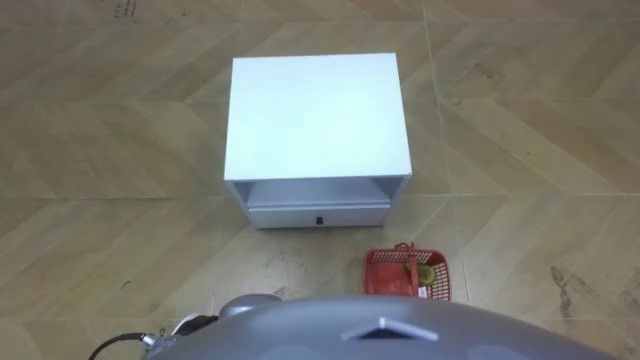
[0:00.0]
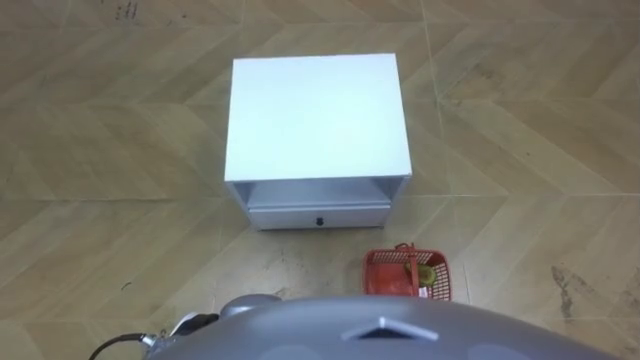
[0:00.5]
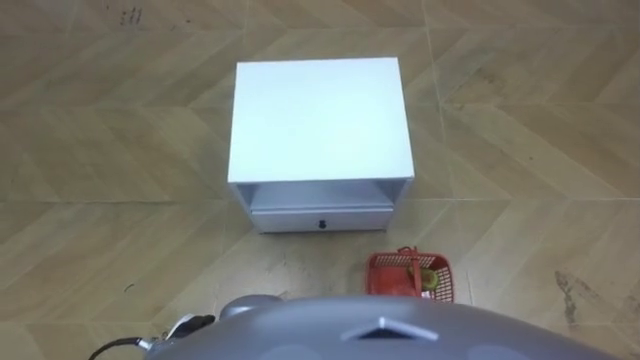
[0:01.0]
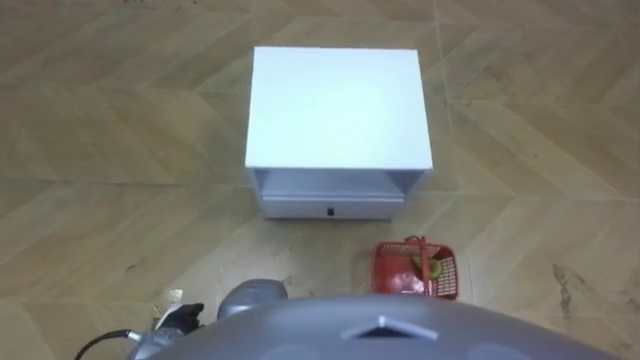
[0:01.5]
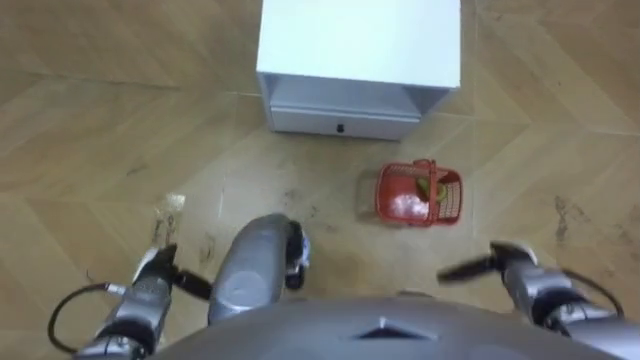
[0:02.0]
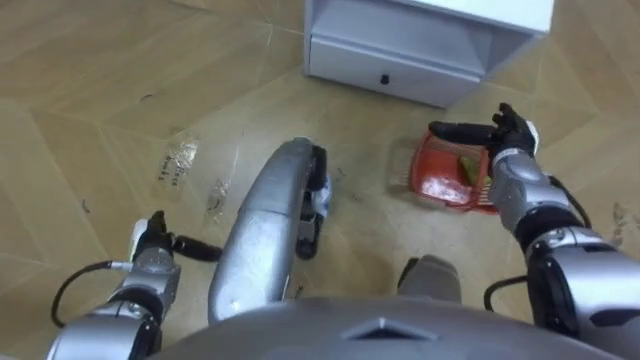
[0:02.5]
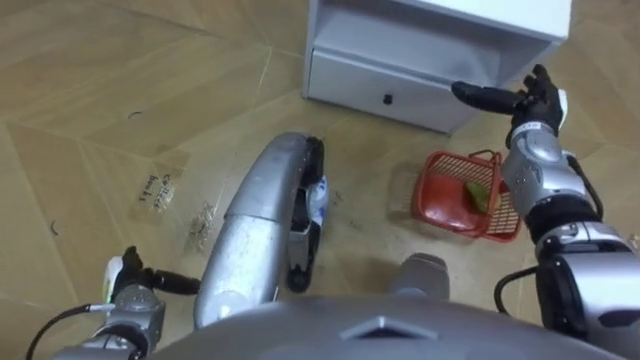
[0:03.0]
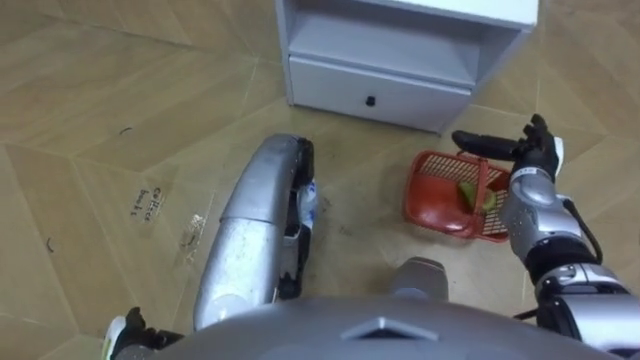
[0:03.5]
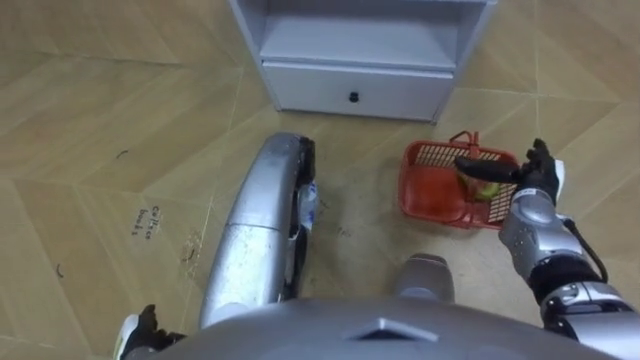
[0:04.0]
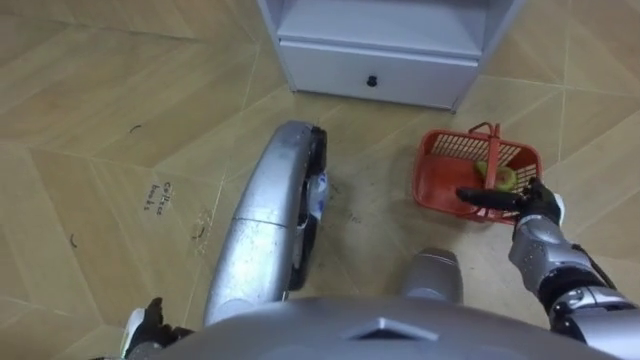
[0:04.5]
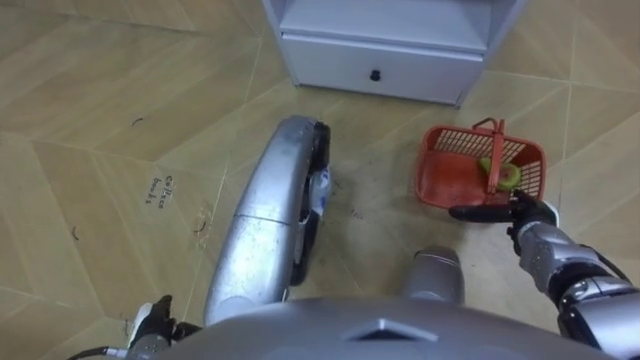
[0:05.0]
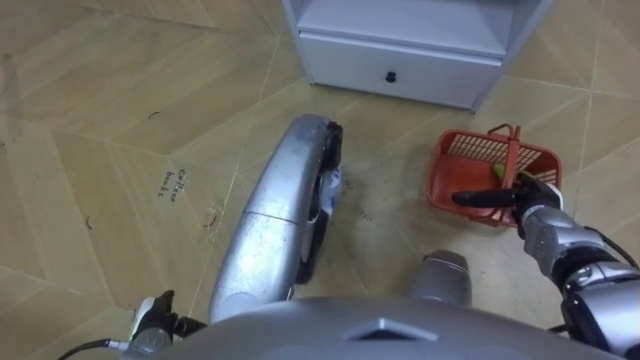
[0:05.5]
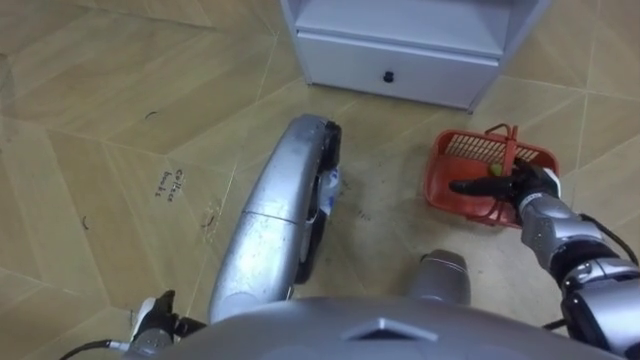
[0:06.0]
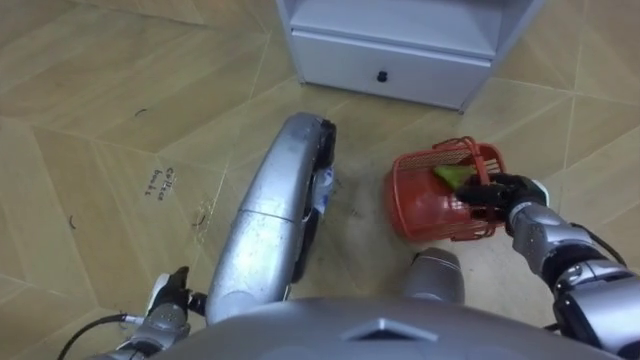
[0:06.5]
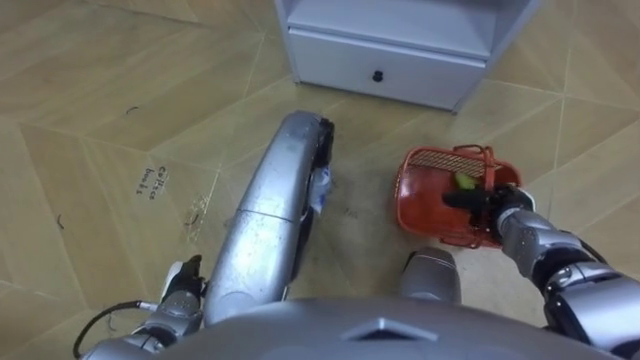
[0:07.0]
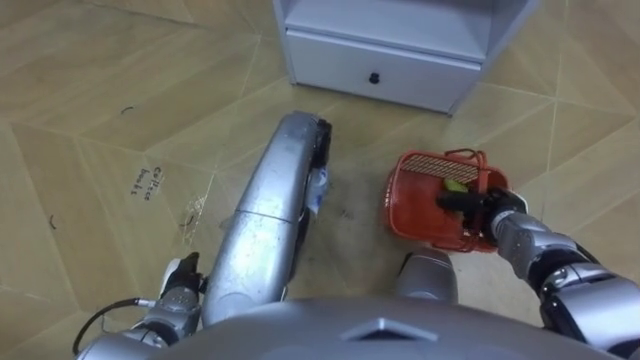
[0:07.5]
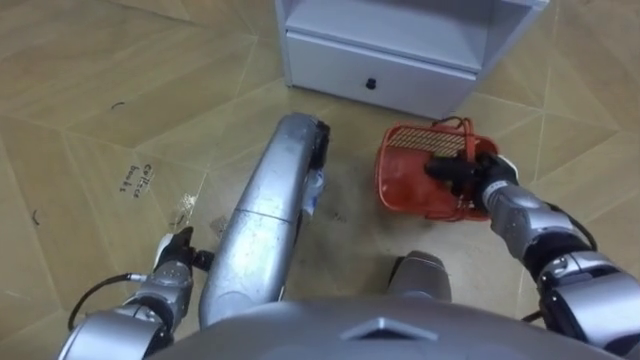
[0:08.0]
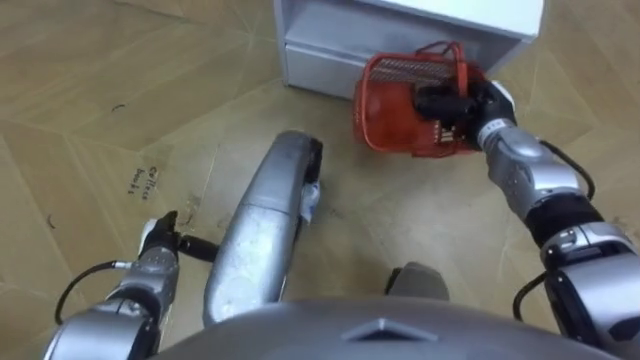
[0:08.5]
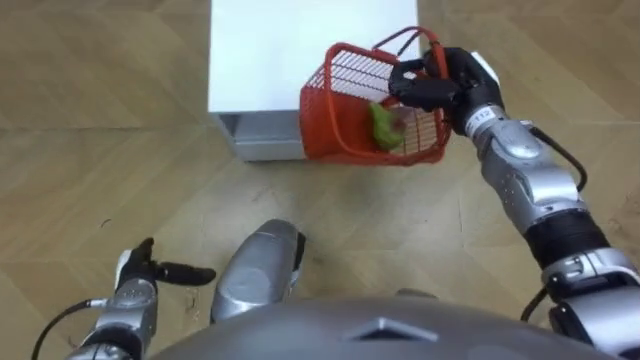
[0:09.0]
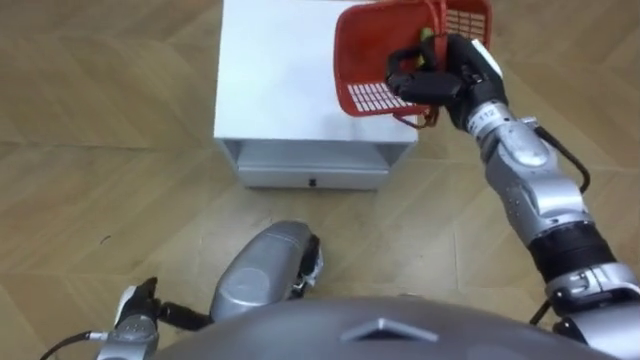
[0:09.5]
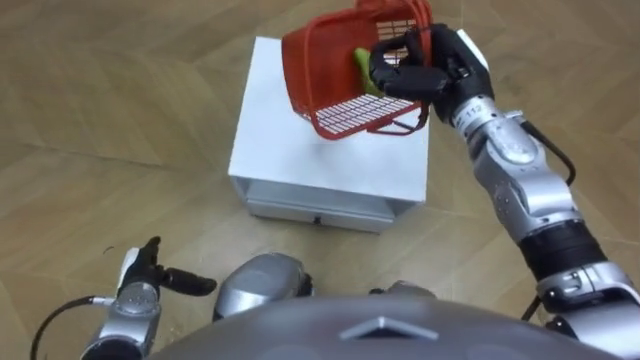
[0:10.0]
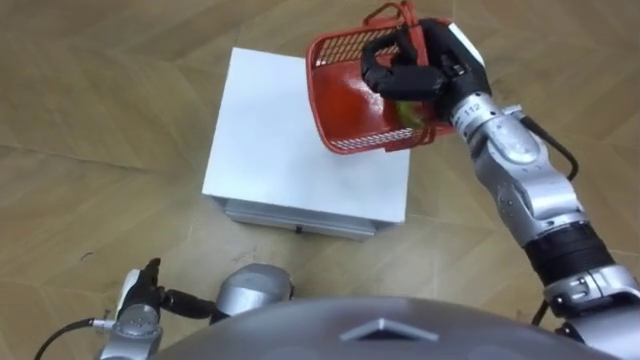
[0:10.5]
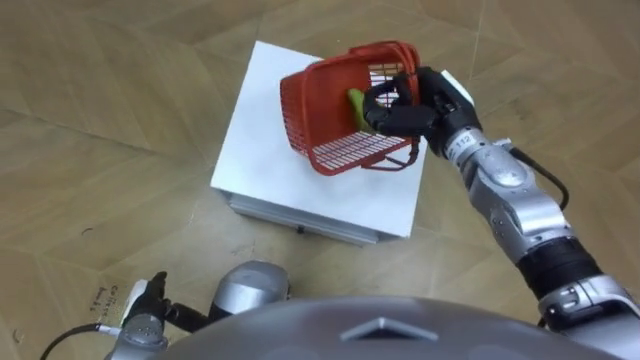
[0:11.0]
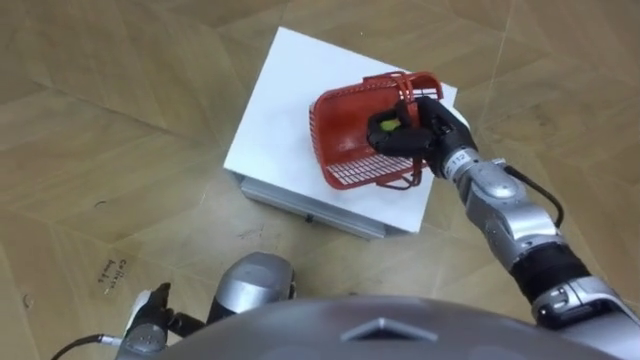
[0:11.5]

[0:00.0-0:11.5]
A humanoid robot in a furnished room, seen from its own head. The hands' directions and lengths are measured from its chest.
Task of the whole recording: Pick up the fruit basket from the floor and place it on the cabinet.
0:02.0 to 0:04.0: The right hand goes about 15 cm forward and upward. The left hand is displaced backward by roughly 10 cm.
0:06.0 to 0:07.5: The left hand heads forward, covering about 5 cm; the right hand shifts by approximately 5 cm, and closes.
0:07.5 to 0:09.5: The robot turns to its right by roughly 15 degrees. The left hand goes approximately 5 cm to the left. The right hand shifts about 25 cm upward, forward and to the left.
0:09.5 to 0:11.5: The right hand travels downward by approximately 5 cm.

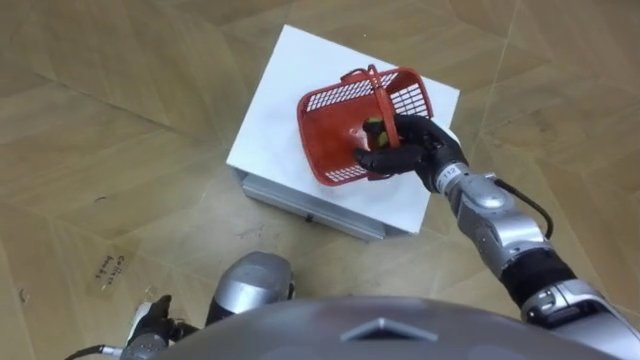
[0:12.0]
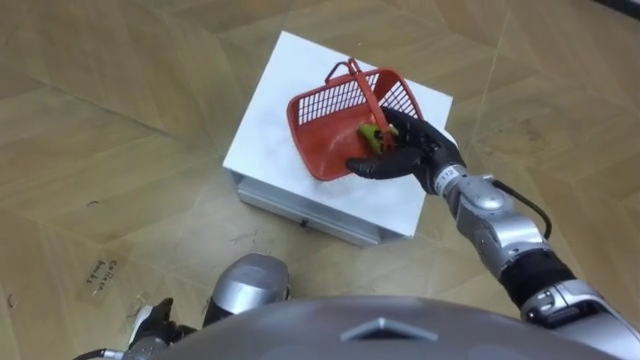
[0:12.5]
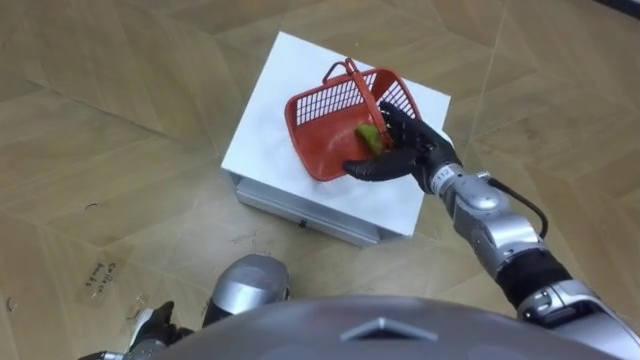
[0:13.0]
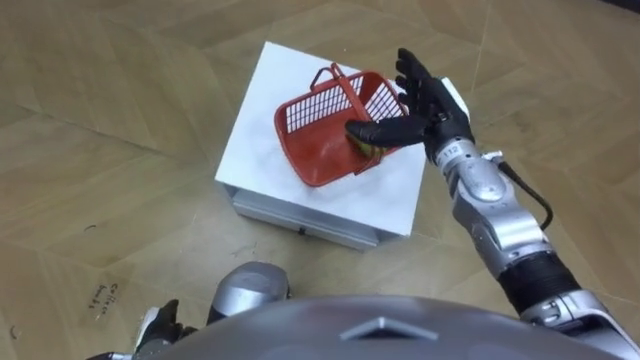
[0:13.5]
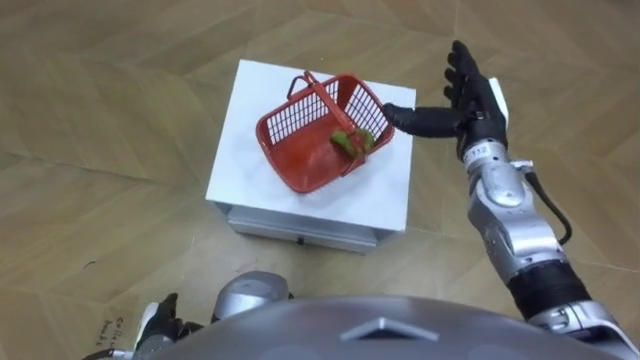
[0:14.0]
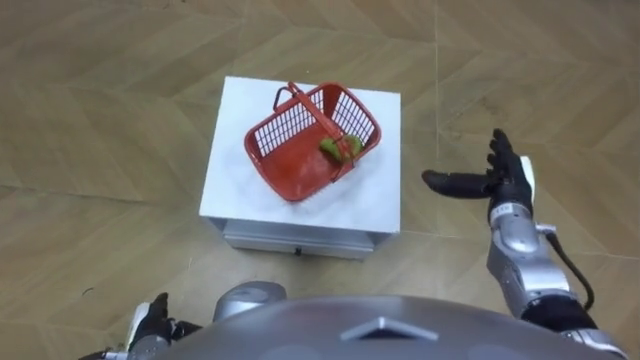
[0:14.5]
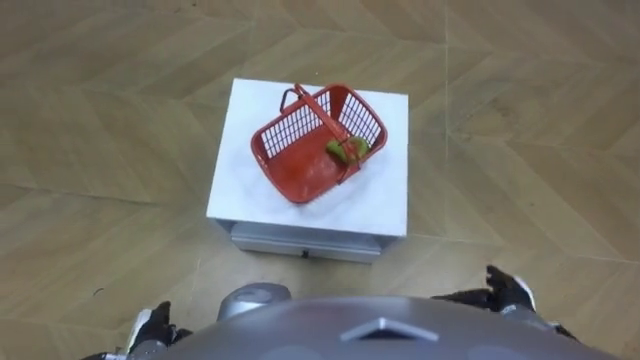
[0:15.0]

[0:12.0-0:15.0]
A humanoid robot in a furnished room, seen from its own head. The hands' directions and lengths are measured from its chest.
Task of the whole recording: Pick up the fruit basket from the floor and place it on the cabinet.
0:12.0 to 0:13.5: The right hand heads upward, covering approximately 5 cm, and opens up.
0:13.5 to 0:15.0: The right hand heads backward, downward and to the right, covering approximately 30 cm.

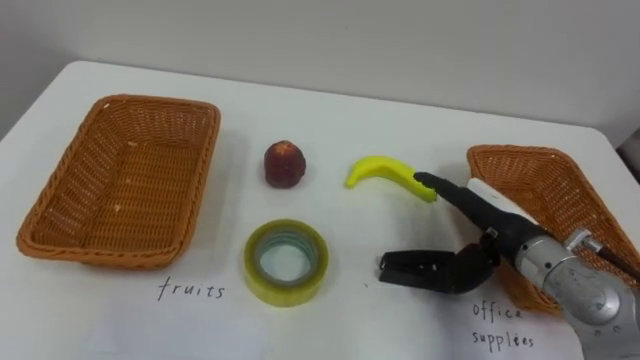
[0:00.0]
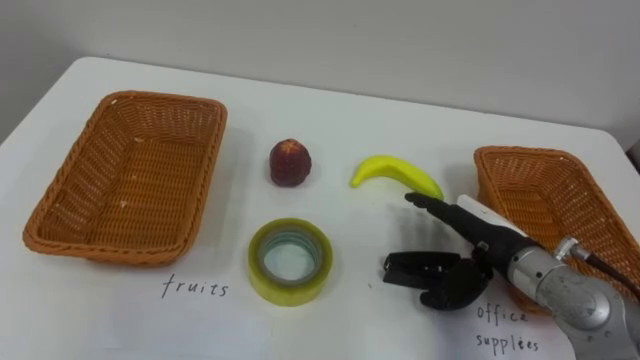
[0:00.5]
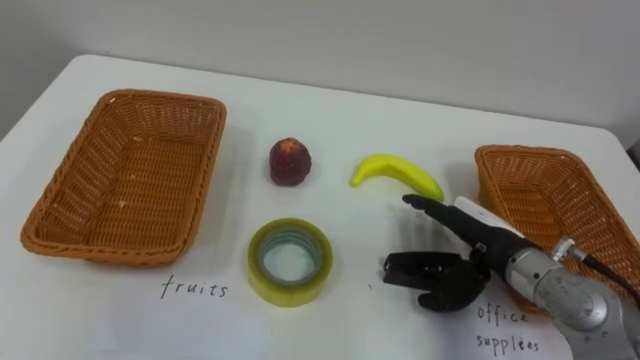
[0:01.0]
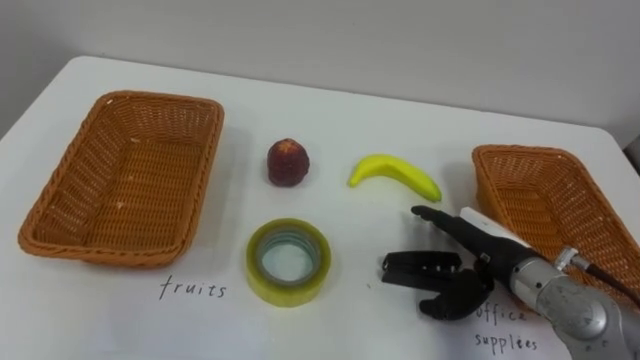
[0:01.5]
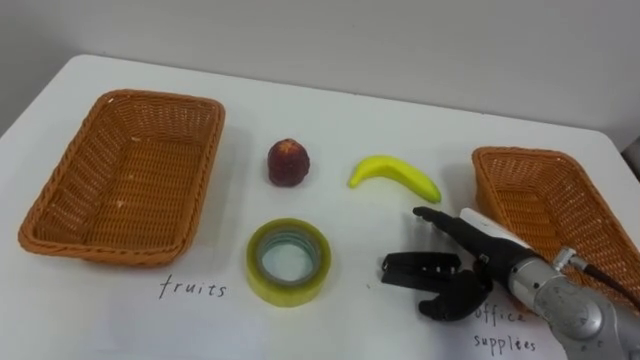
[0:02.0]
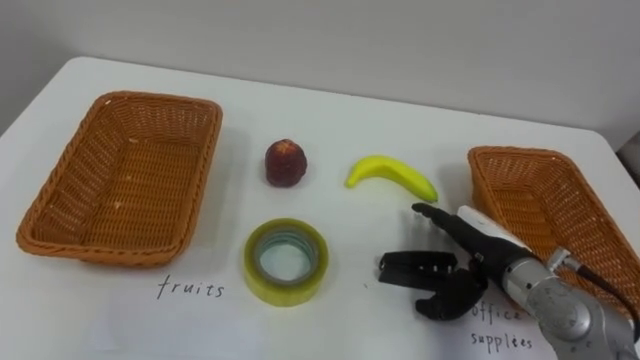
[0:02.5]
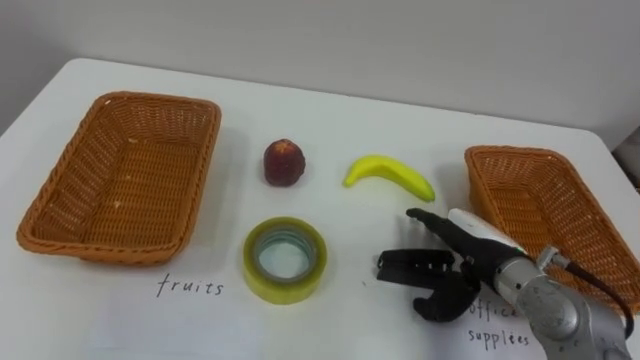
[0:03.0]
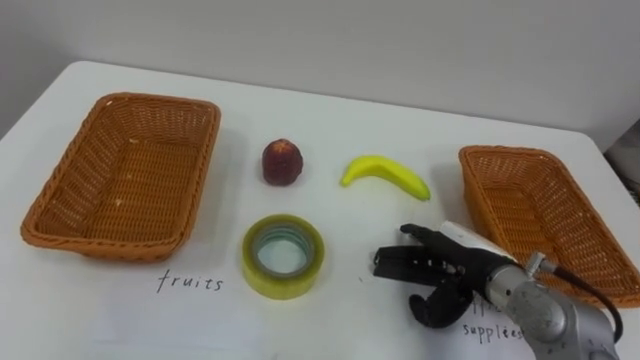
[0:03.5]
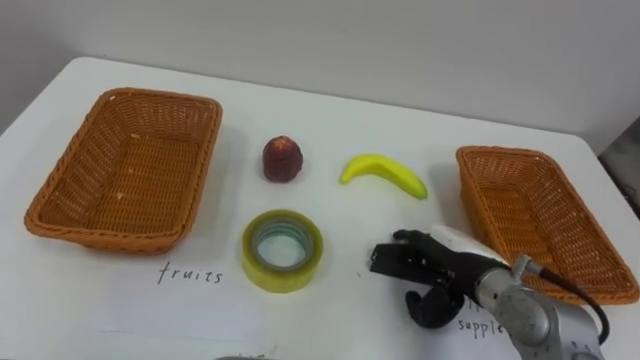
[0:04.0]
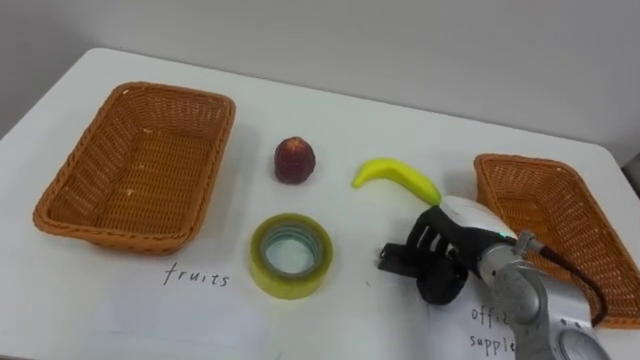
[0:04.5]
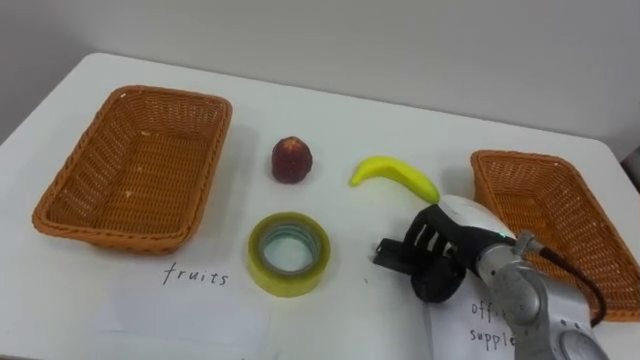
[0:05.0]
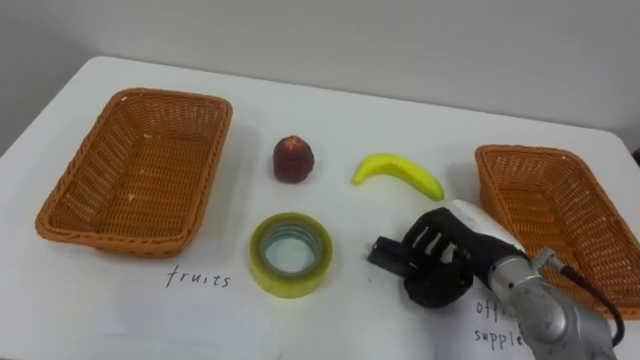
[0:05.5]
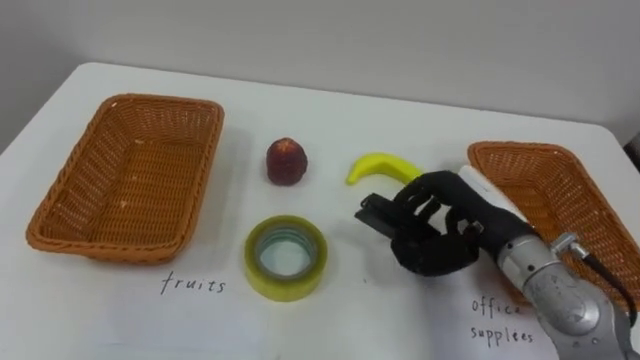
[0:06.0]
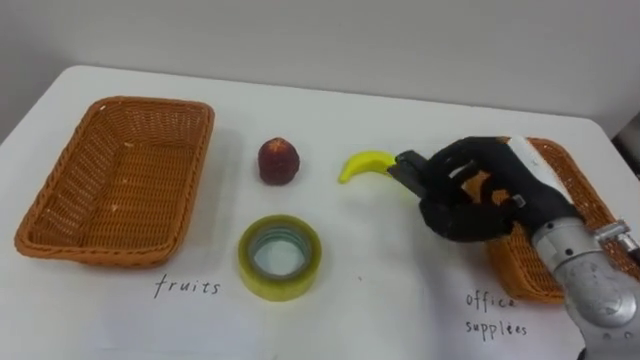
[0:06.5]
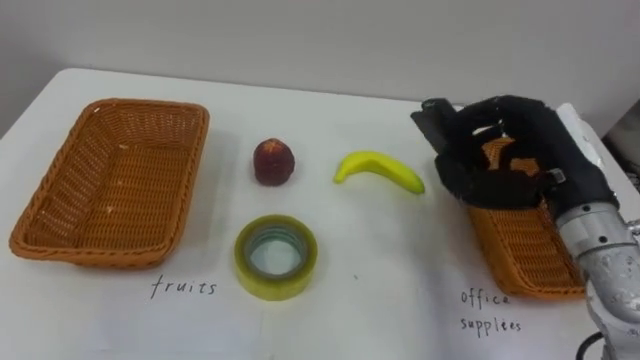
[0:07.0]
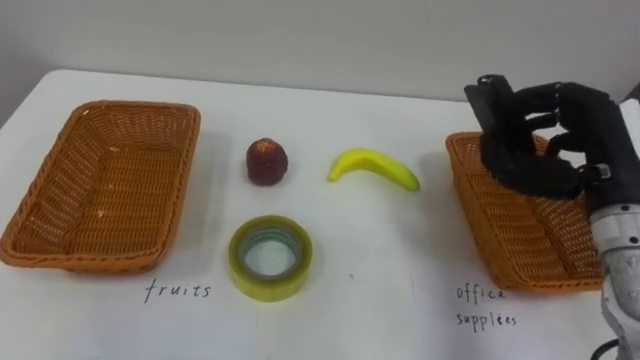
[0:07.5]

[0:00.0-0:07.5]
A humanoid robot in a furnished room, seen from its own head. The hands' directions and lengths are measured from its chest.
Task of the whole recording: Separate the items on the table and place them into the two baskets.
0:04.0 to 0:05.5: The right hand closes up.
0:05.5 to 0:07.5: The right hand is displaced upward and to the right by roughly 15 cm.
